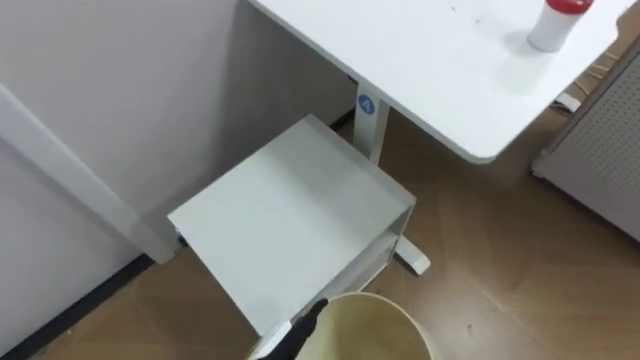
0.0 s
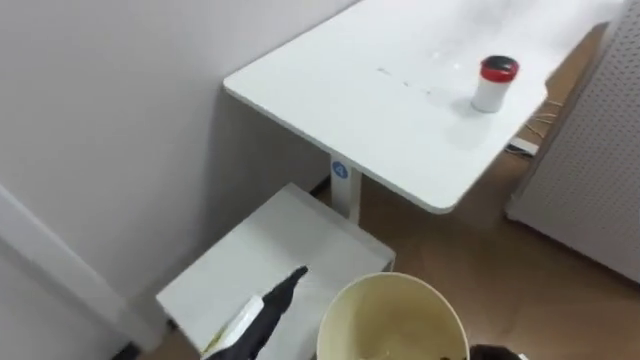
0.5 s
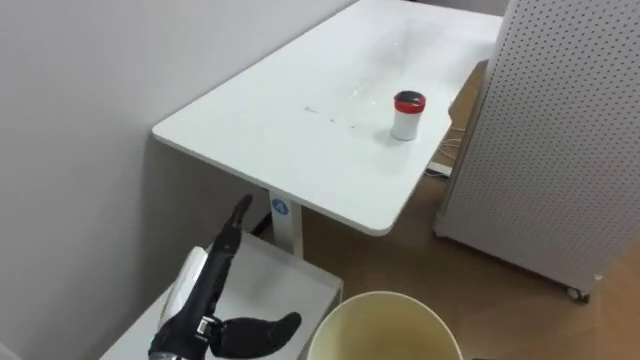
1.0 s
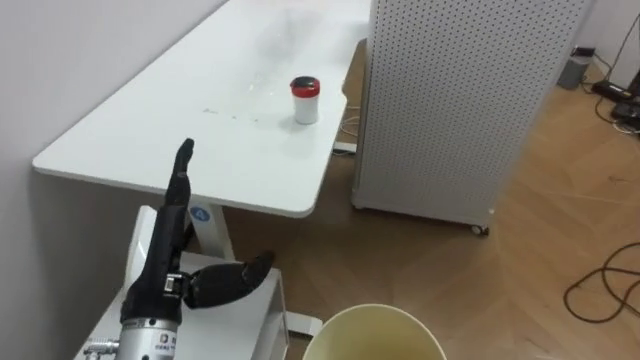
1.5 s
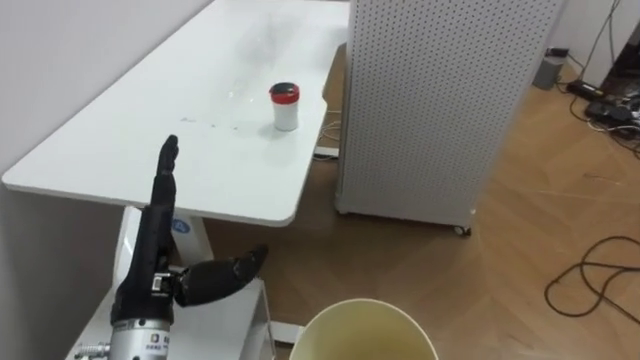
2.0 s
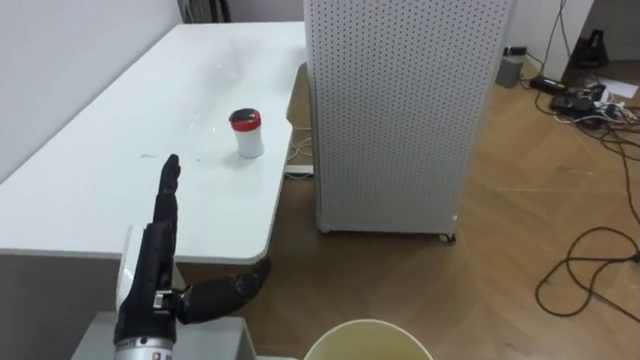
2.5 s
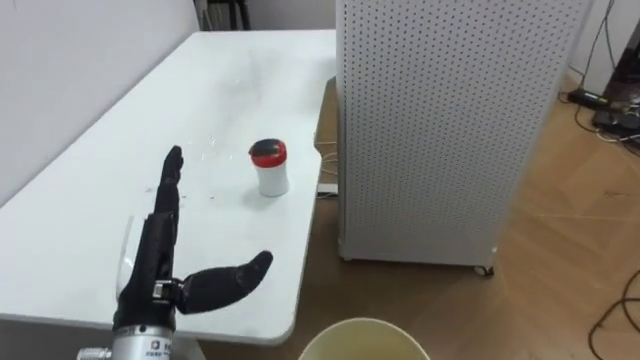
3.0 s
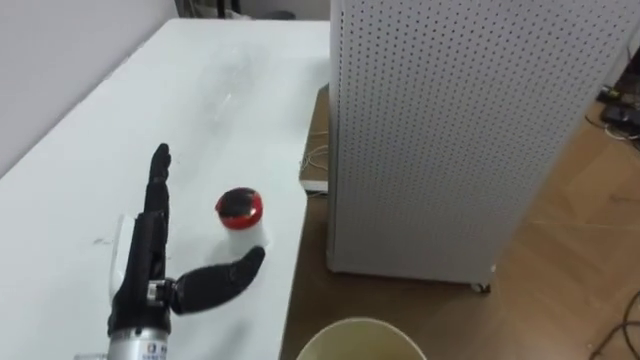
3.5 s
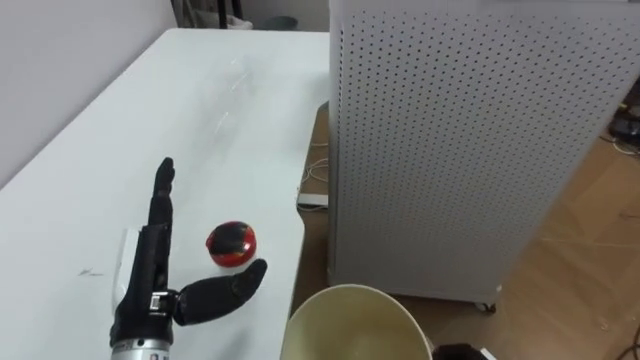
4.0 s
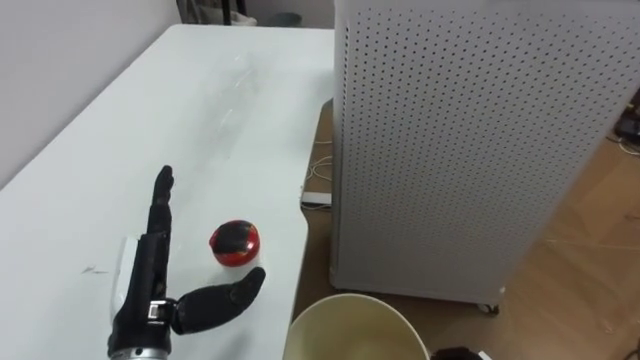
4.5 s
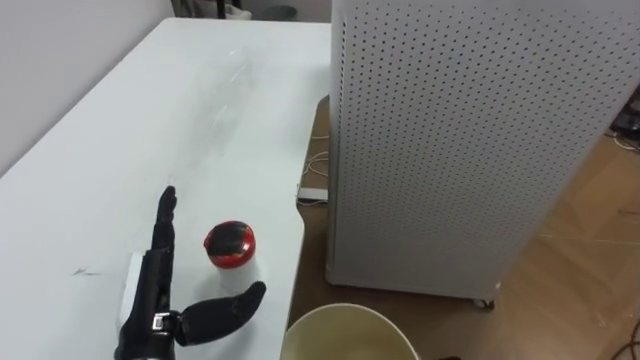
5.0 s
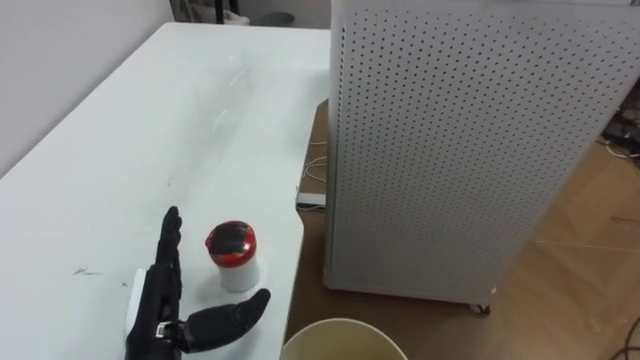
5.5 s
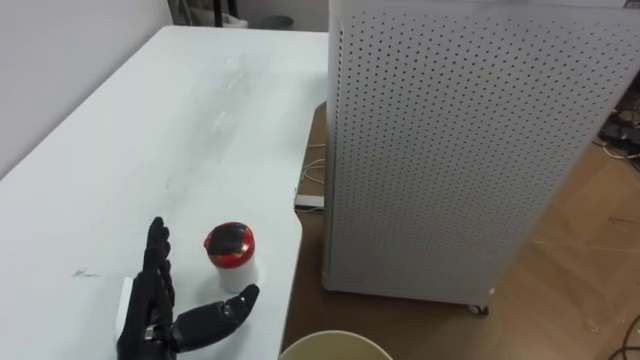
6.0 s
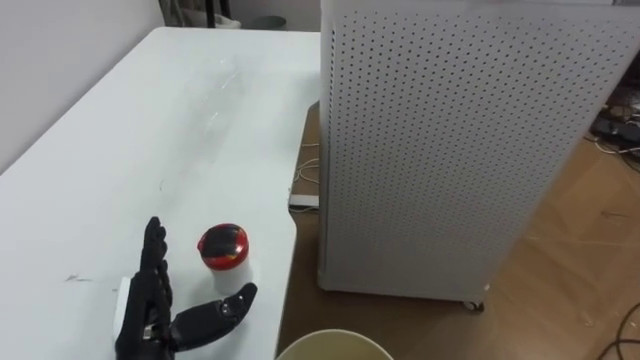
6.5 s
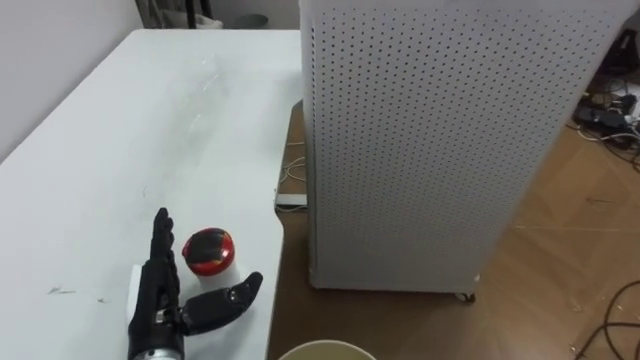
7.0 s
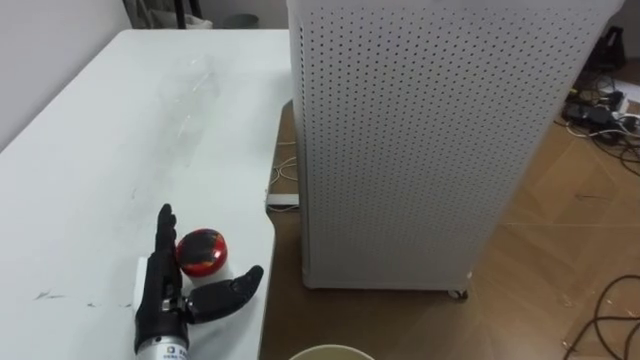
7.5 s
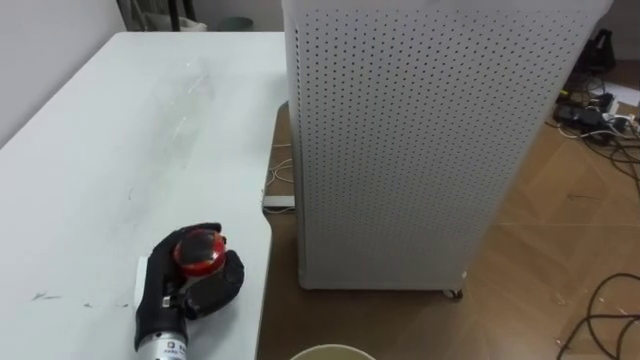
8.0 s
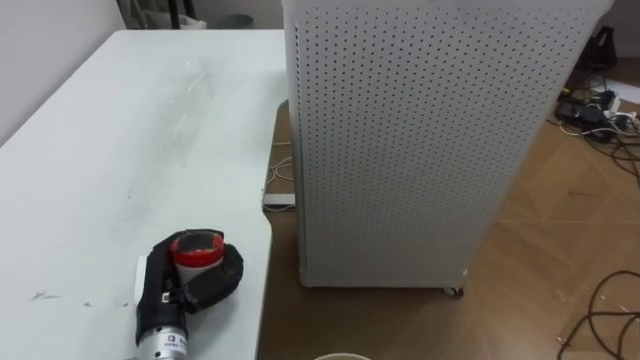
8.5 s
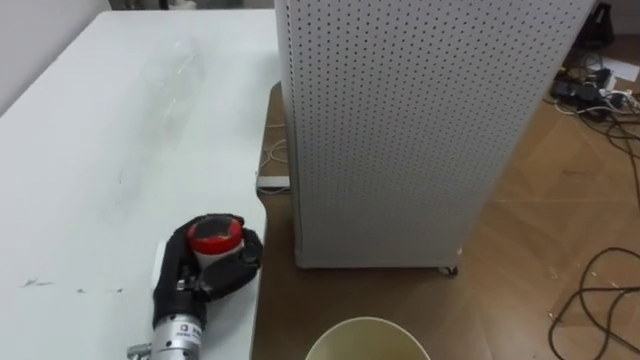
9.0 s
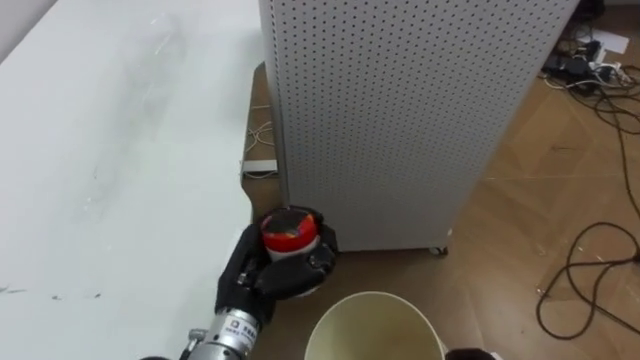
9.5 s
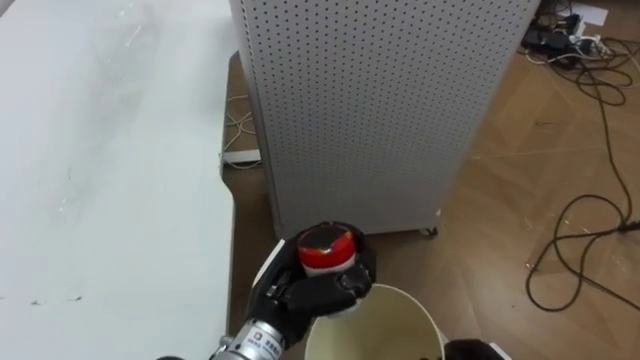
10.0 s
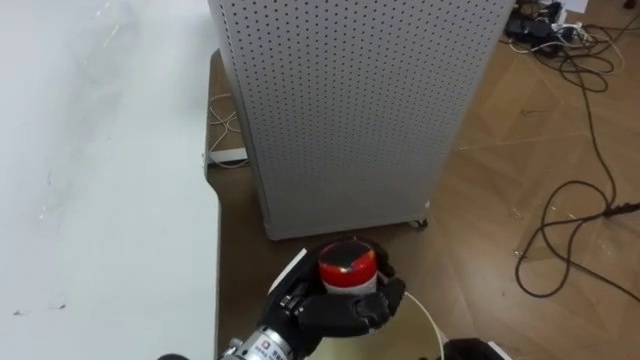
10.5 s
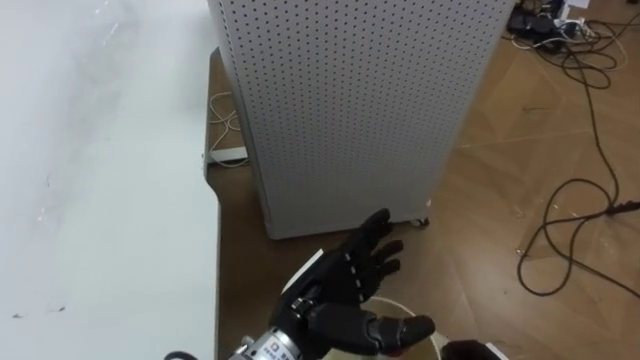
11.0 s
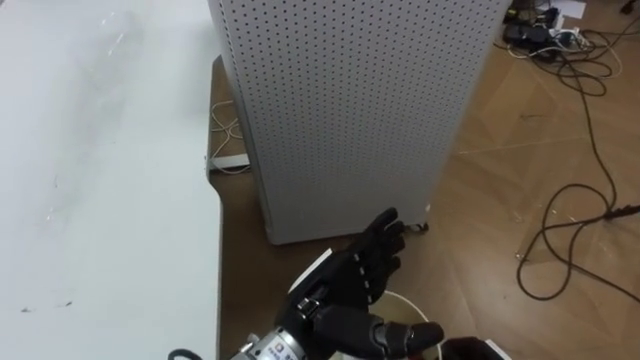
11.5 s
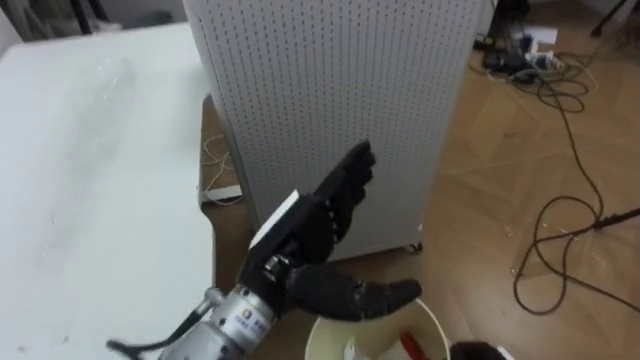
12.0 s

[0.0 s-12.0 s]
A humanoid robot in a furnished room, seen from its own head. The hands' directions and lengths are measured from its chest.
Task of the whole recording: Pick up the light blue package, the candy box, and the dark blue package separately, and put them into the trash can held in your right hand.
0.0 to 2.0 s: The robot rotates roughly 40 degrees to its right. The left hand goes roughly 20 cm upward and to the left.
4.0 to 6.0 s: The left hand travels downward by approximately 5 cm.
6.0 to 8.0 s: The left hand closes its fingers.
8.0 to 10.0 s: The left hand is displaced to the right by approximately 15 cm.
10.0 to 12.0 s: The left hand shifts some 10 cm upward, and opens.

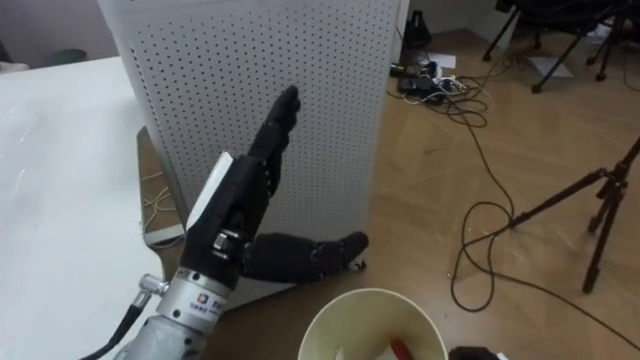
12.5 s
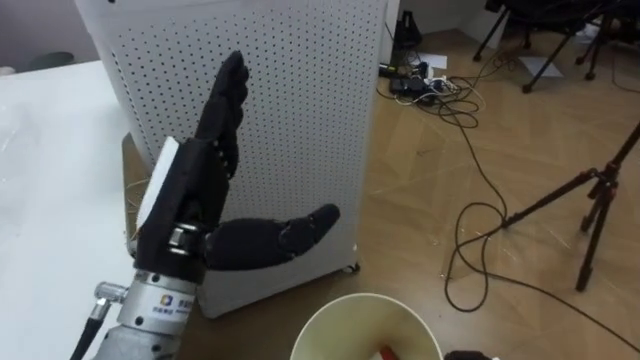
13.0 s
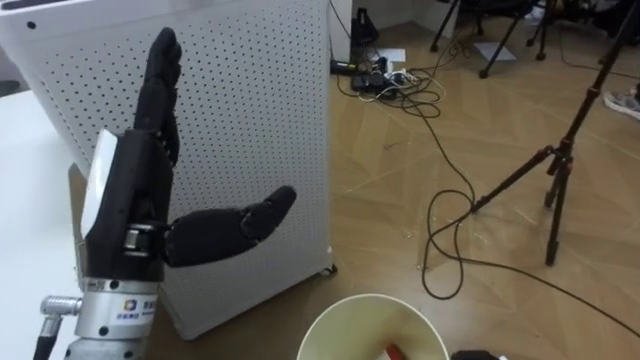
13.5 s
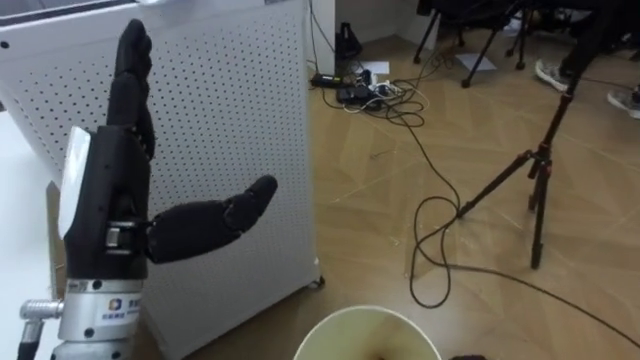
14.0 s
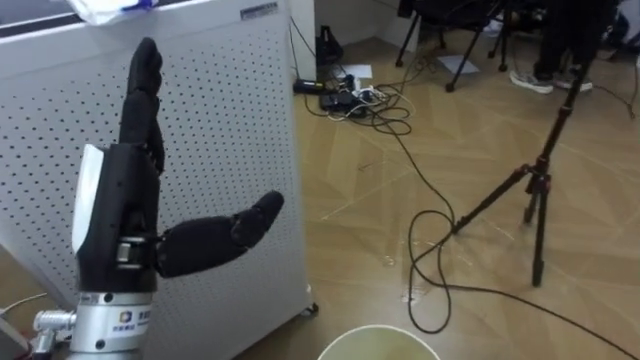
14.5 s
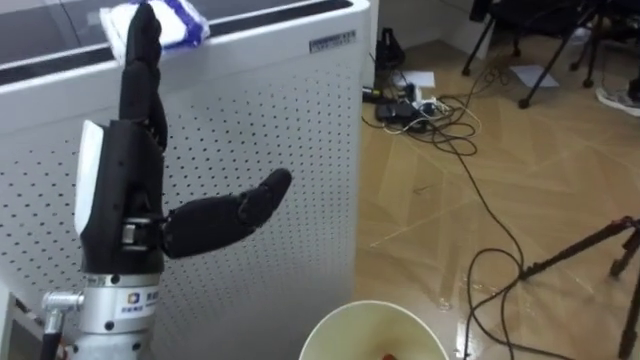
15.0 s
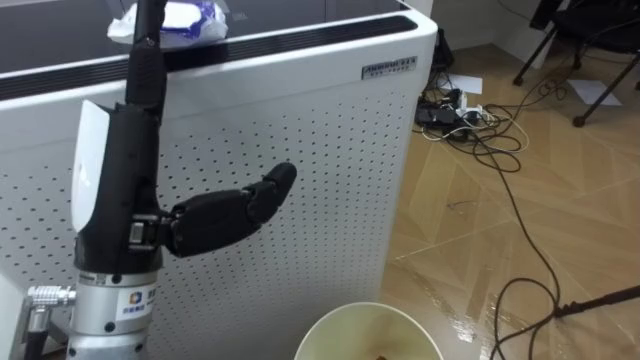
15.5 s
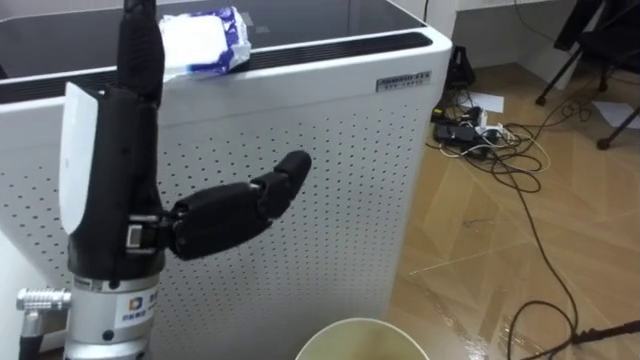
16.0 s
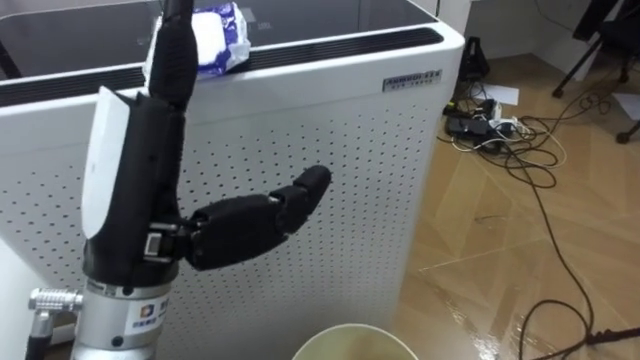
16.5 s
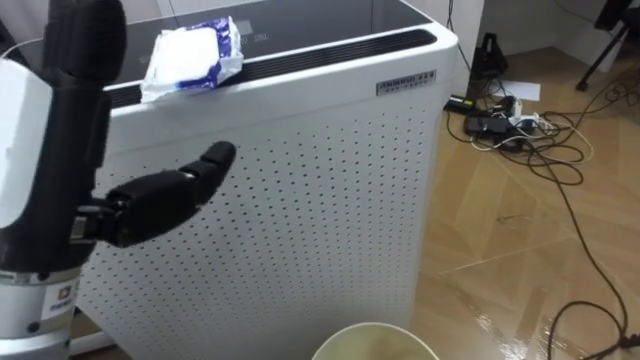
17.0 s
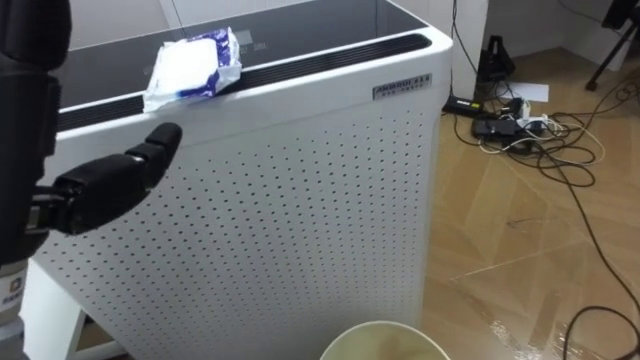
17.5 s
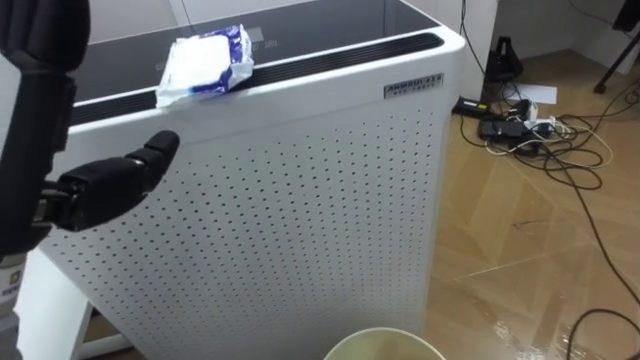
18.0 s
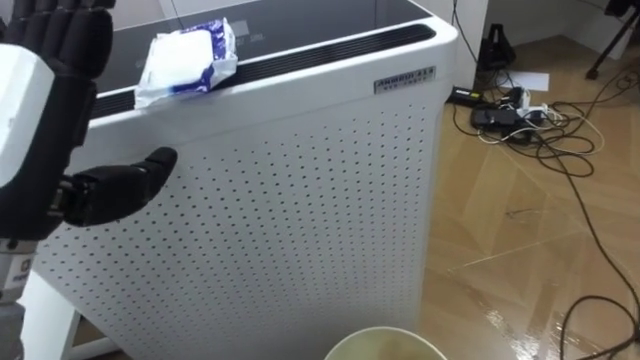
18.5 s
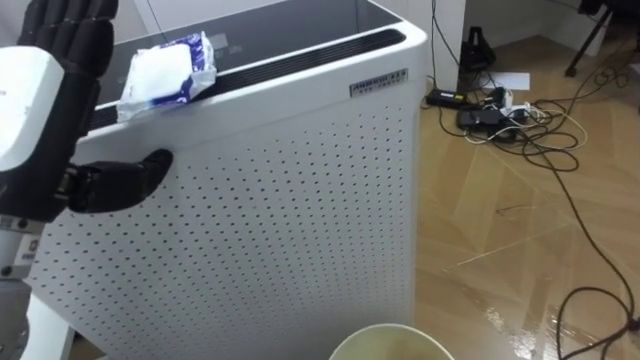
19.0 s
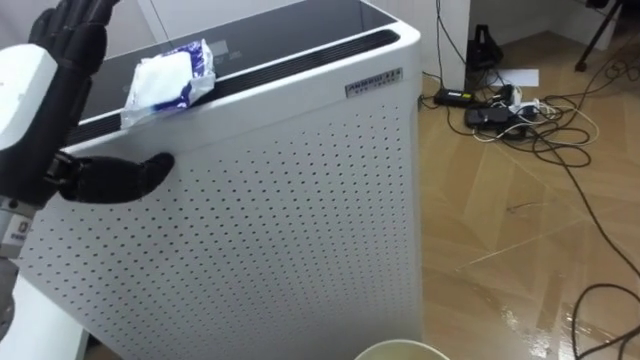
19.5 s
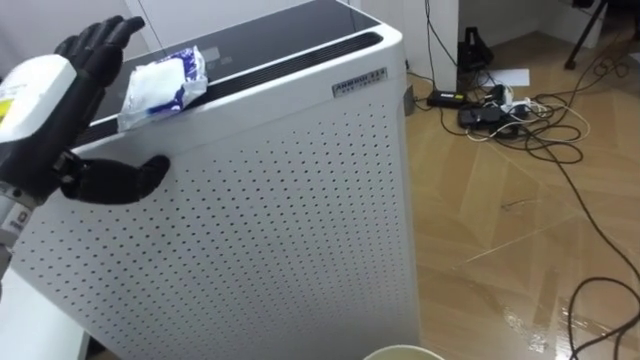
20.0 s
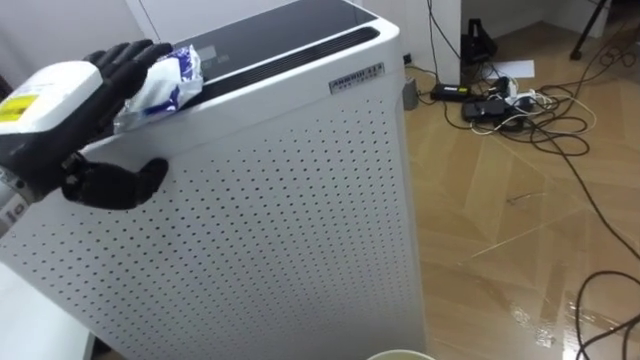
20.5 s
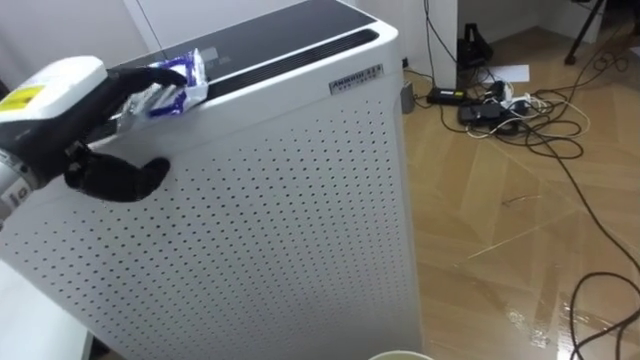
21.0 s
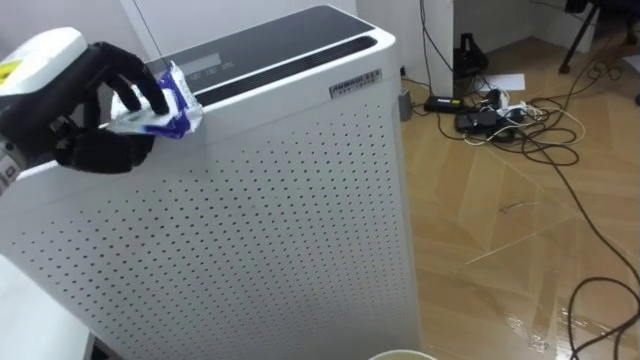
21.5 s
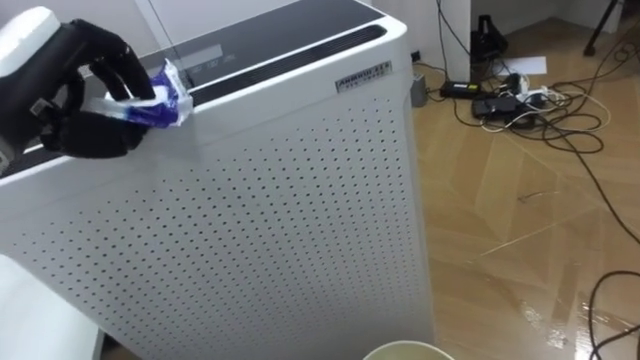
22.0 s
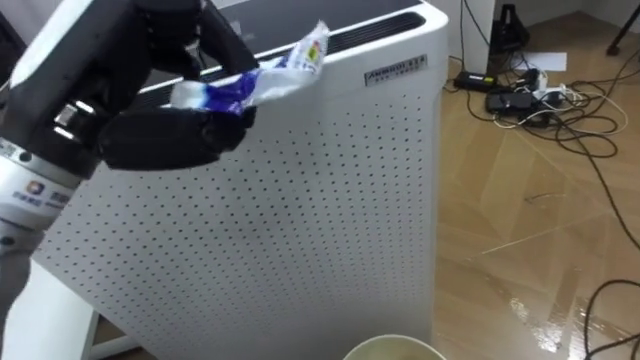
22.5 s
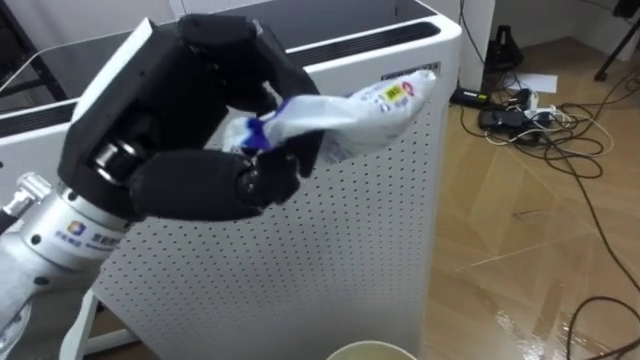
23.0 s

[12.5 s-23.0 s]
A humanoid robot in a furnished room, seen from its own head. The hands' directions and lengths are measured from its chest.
Task of the whole recording: Pick up the light blue package, the candy box, and the dark blue package separately, and put them into the trash can held in your right hand.
12.5 to 14.5 s: The robot turns to its right by roughly 15 degrees. The left hand travels to the left by about 10 cm.
14.5 to 16.5 s: The robot's body swings about 20 degrees to its left. The left hand shifts about 5 cm upward.
19.0 to 21.0 s: The left hand moves forward, some 5 cm.
21.0 to 23.0 s: The left hand shifts about 15 cm to the right and backward, and closes.
